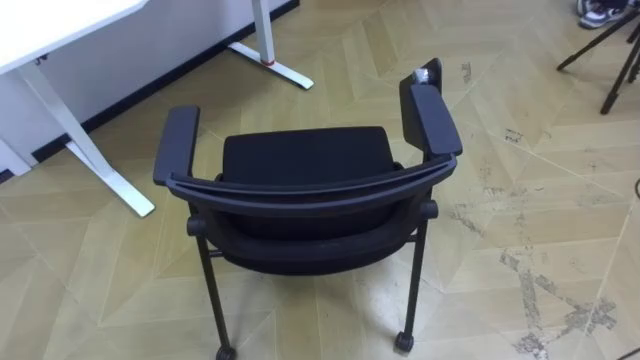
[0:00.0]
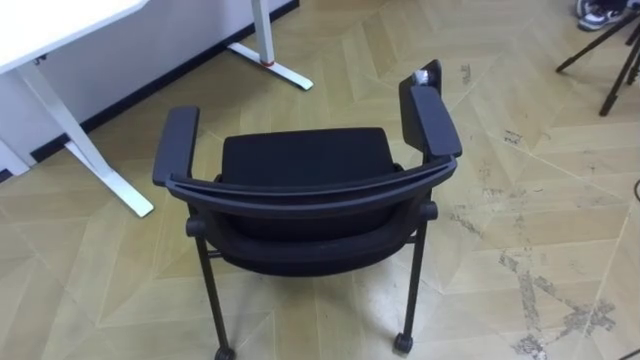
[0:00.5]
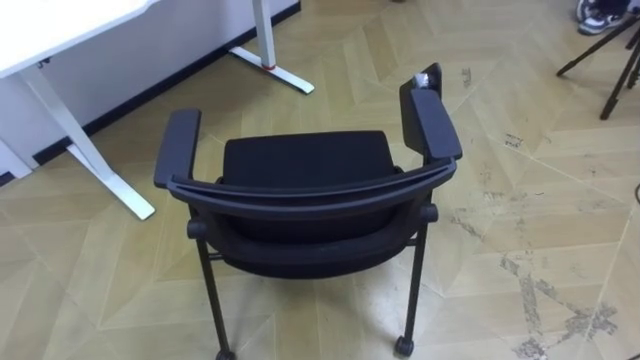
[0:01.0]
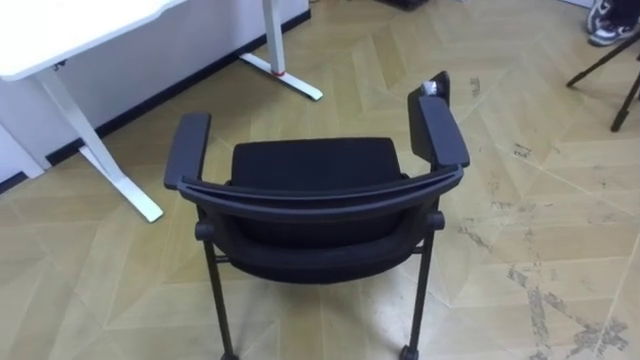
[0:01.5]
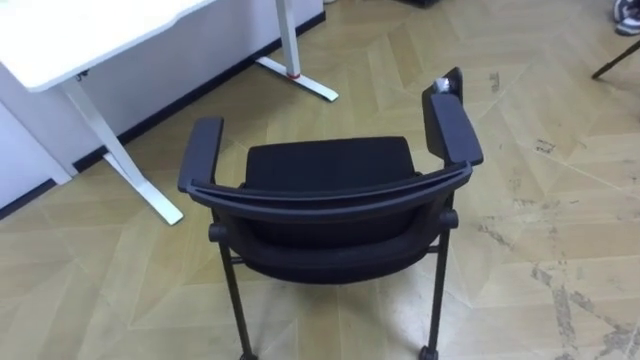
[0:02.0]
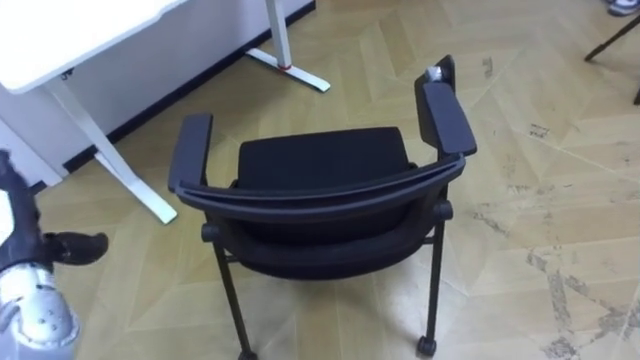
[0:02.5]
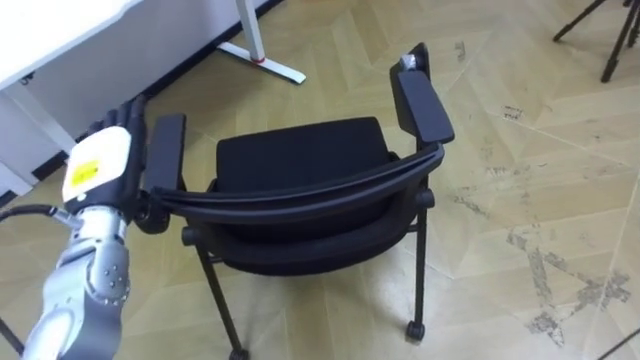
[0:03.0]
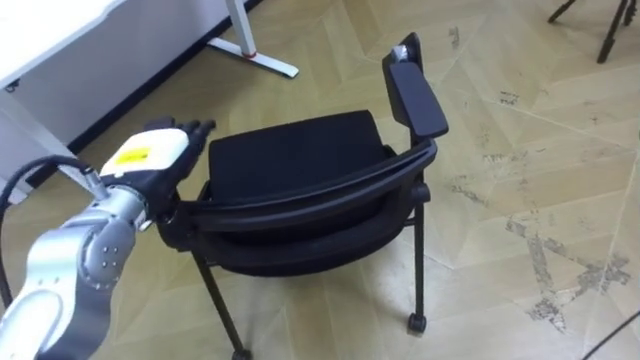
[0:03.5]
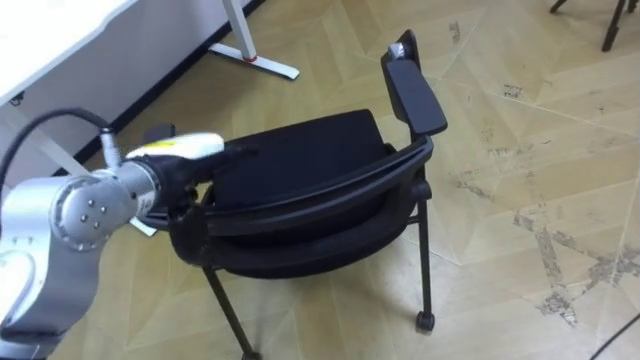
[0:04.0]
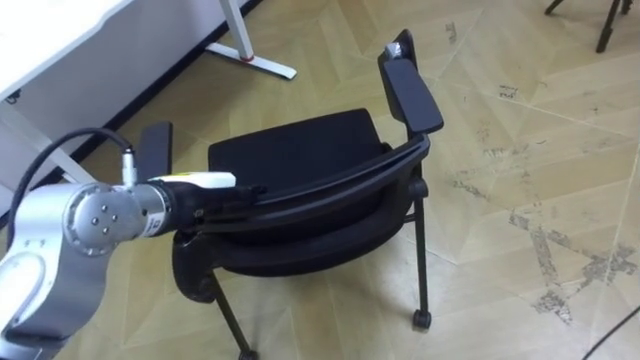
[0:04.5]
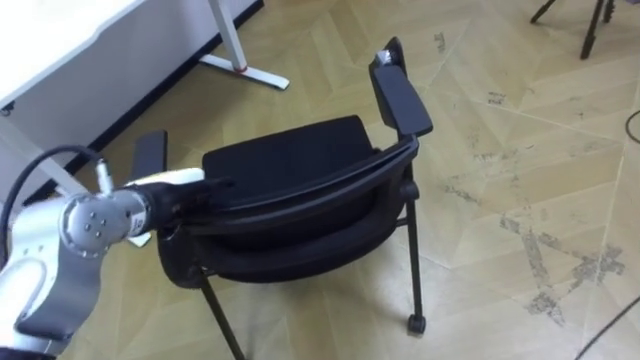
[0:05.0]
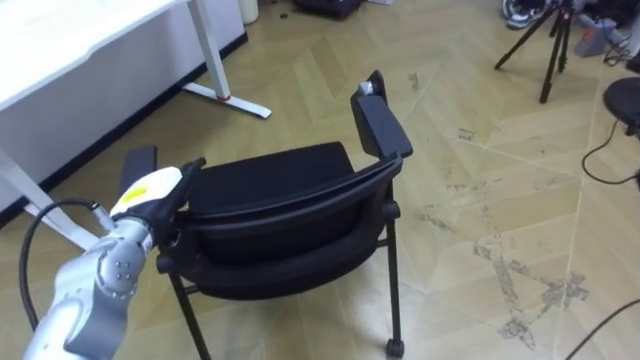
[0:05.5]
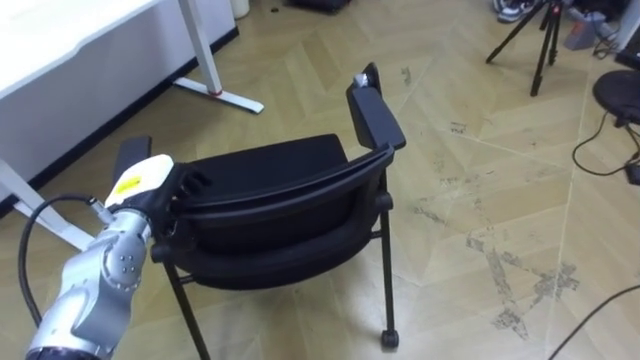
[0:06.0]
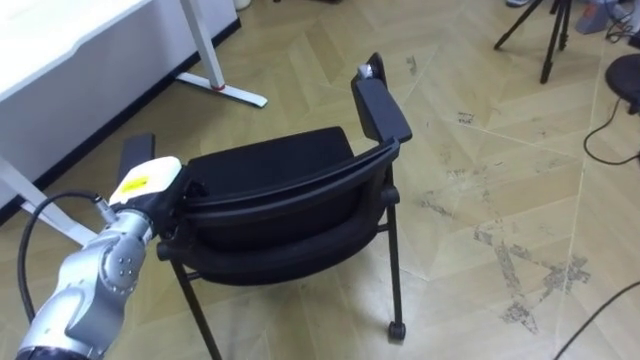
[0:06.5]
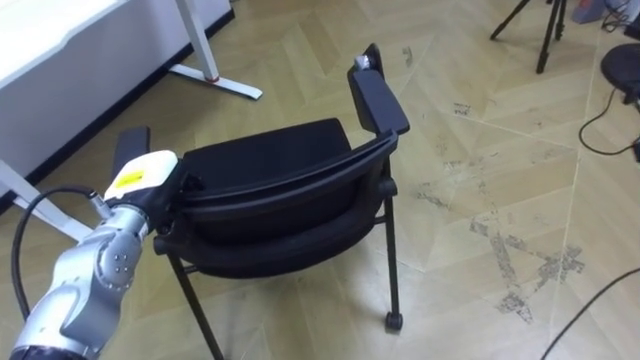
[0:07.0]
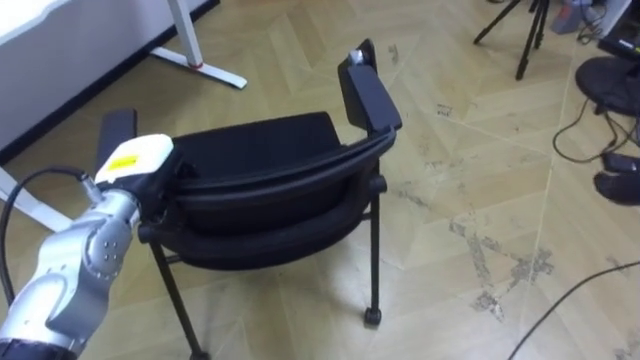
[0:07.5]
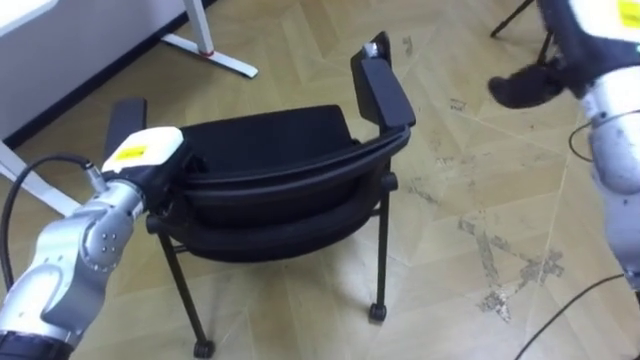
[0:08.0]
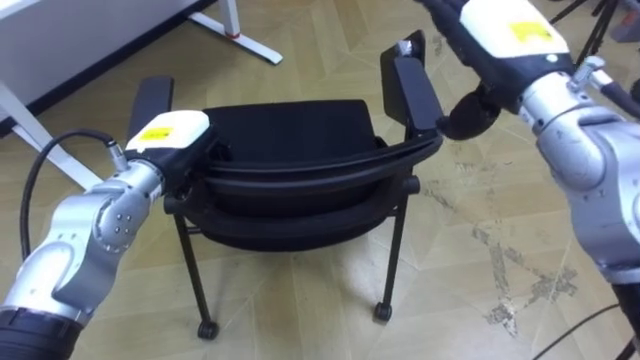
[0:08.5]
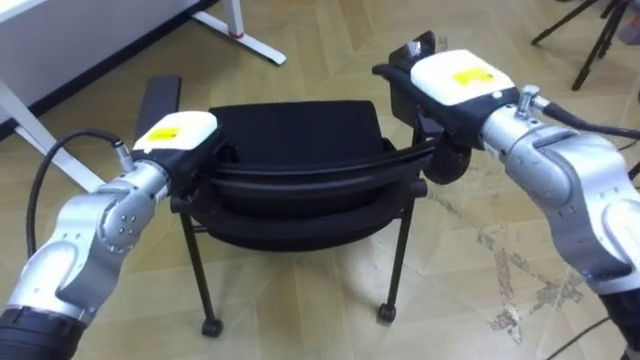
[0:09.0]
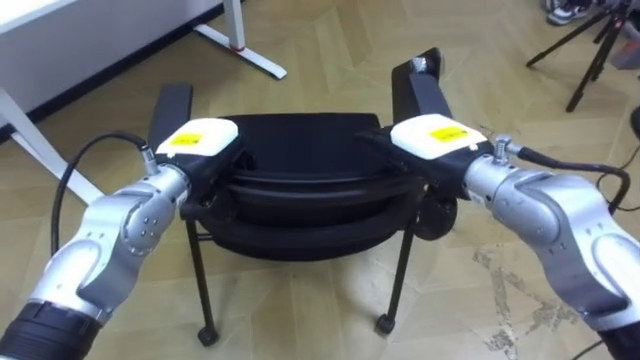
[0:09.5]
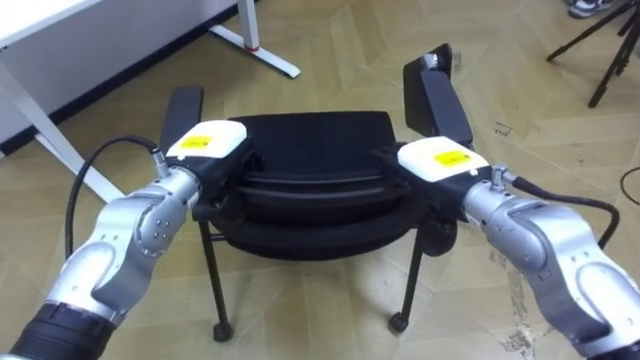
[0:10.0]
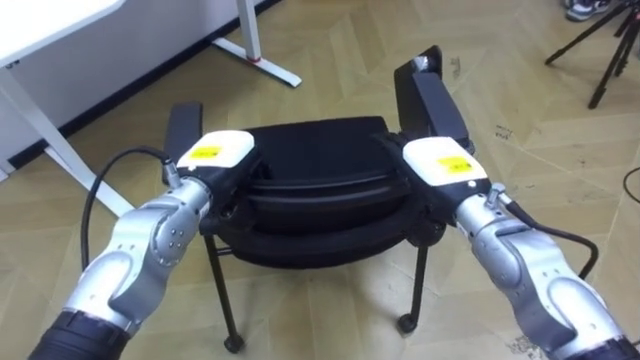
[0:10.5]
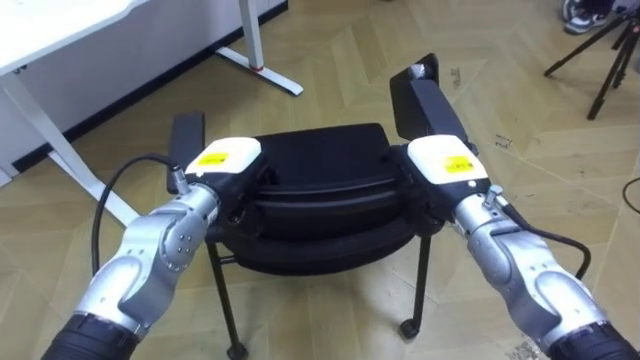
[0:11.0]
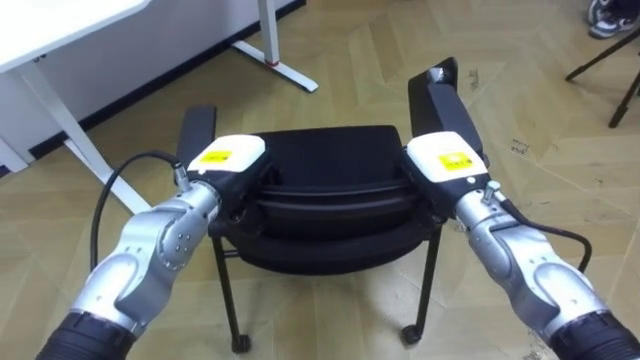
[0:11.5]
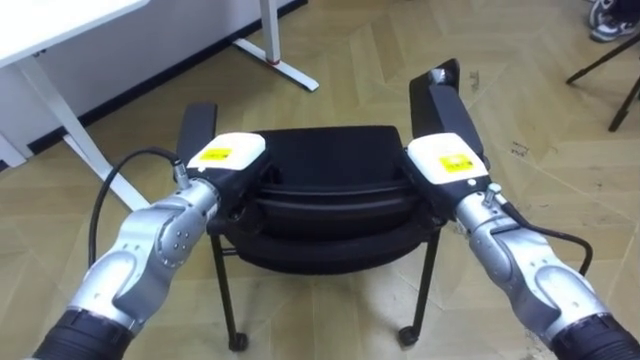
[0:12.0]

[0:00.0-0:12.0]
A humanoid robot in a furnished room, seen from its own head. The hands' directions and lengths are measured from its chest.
Task of the whole recording: Push the chair under the table.
0:04.0 to 0:06.0: The left hand heads downward and to the left, covering about 10 cm, and closes.
0:08.0 to 0:10.0: The left hand moves to the right, roughly 10 cm; the right hand shifts approximately 20 cm downward and to the left.
0:10.0 to 0:12.0: The right hand shifts by roughly 5 cm, and closes its fingers.

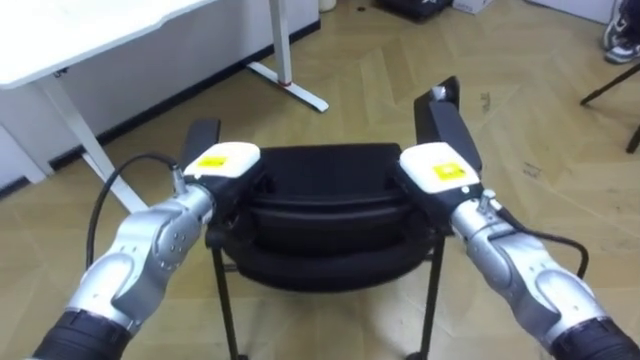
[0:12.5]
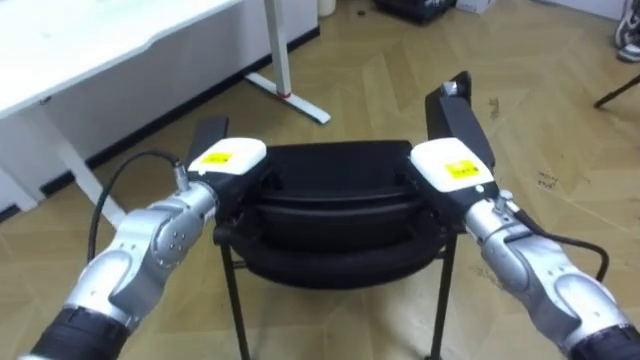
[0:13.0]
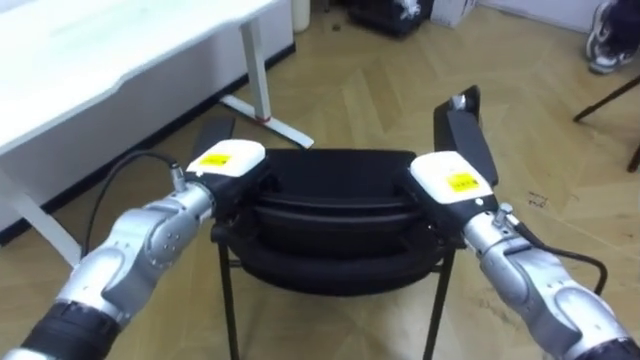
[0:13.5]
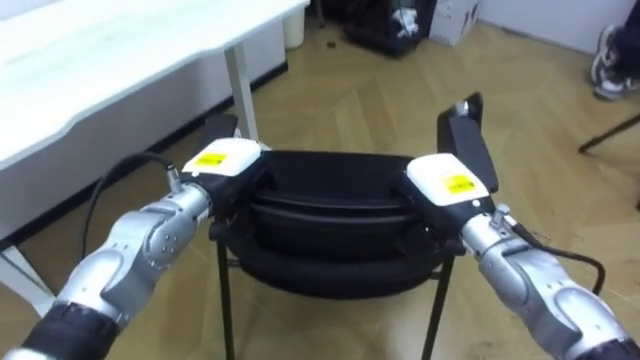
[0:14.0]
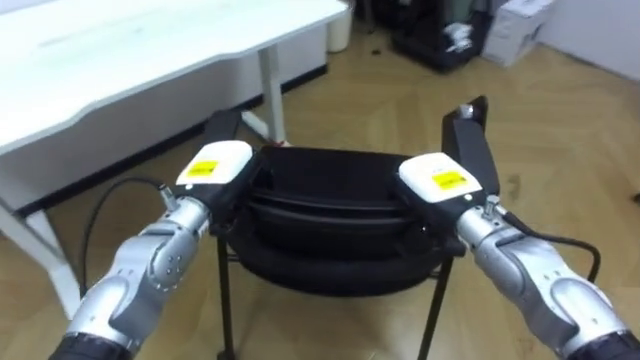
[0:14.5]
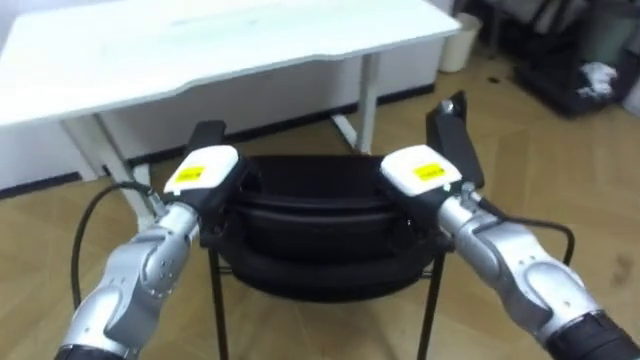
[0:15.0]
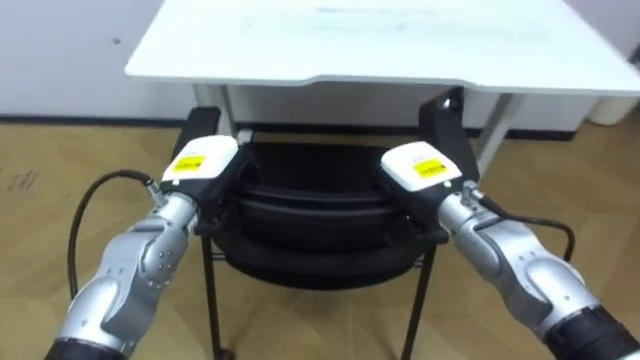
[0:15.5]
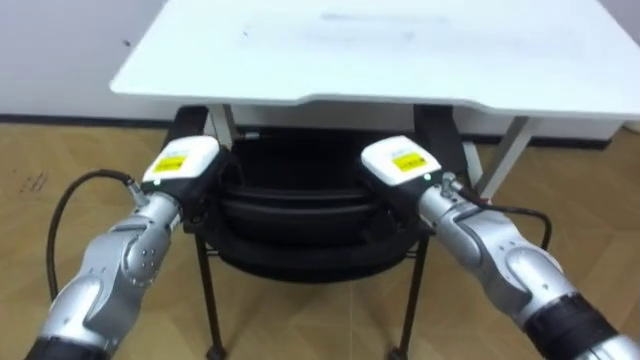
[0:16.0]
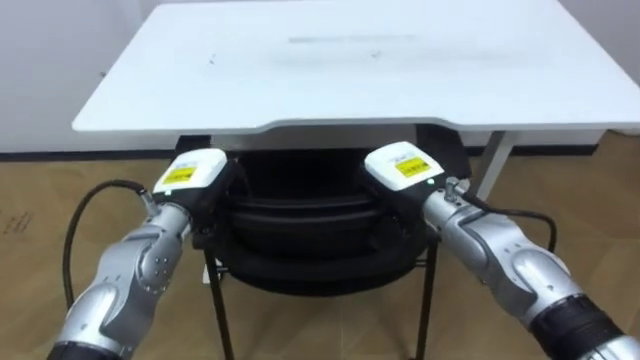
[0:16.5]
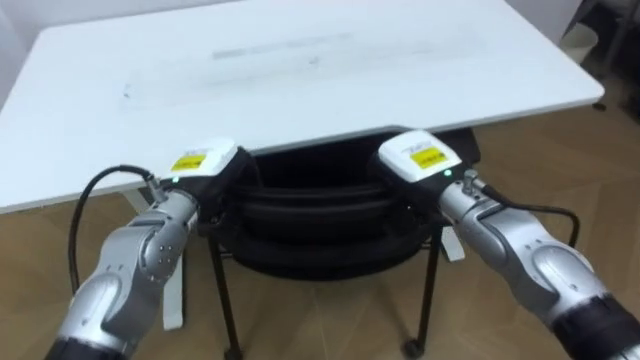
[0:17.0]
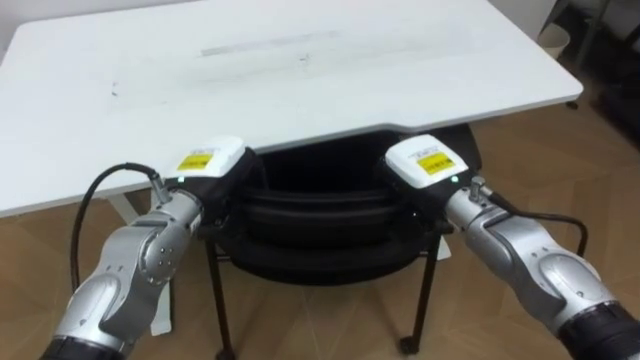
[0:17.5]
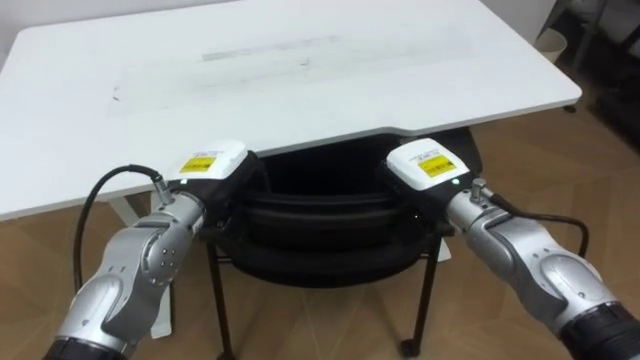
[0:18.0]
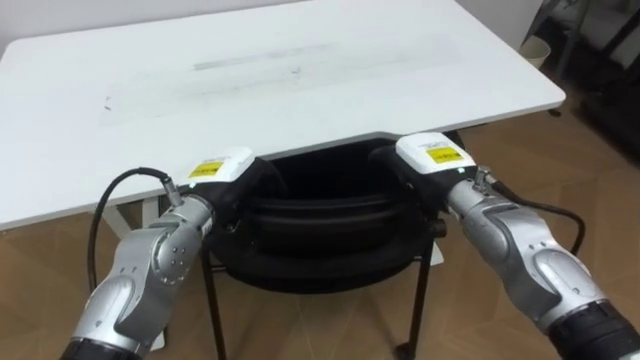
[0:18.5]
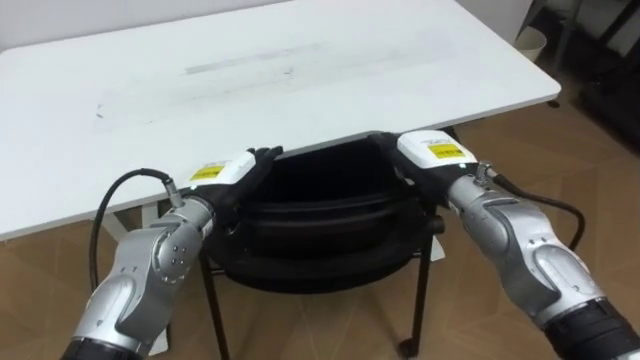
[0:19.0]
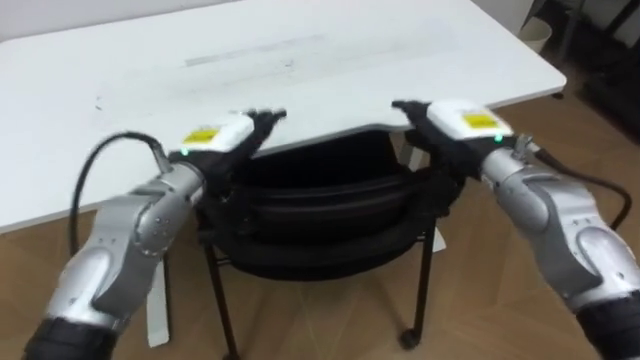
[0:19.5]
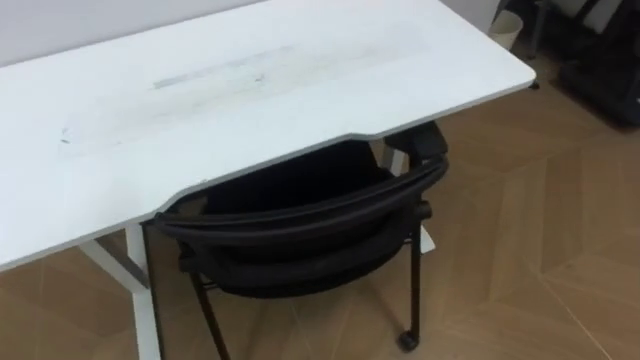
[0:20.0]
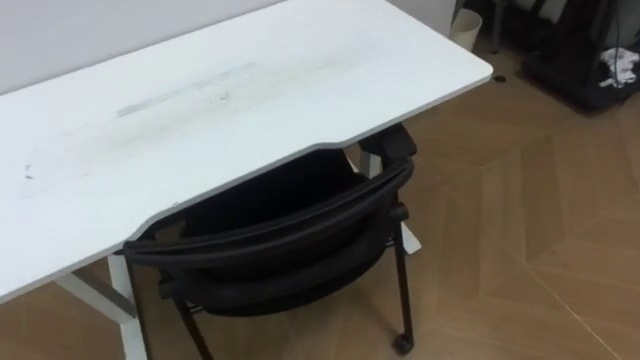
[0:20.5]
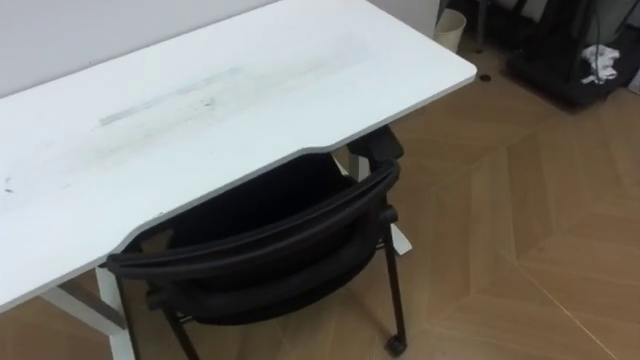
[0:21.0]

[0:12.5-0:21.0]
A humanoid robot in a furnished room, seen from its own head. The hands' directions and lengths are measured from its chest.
Task of the whole recording: Push the chair under the table.
0:14.5 to 0:16.5: The robot faces some 35 degrees further to its left.
0:16.5 to 0:19.0: The robot turns to its right by some 15 degrees. The left hand opens up, while the right hand opens.
